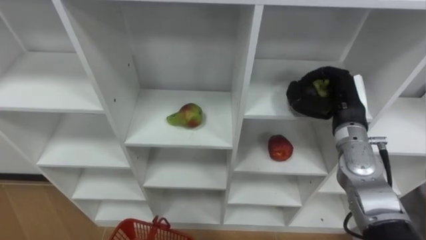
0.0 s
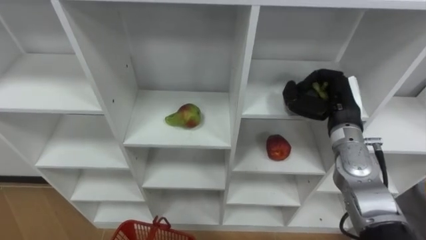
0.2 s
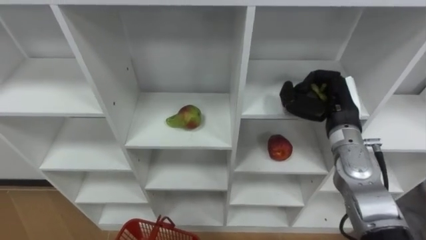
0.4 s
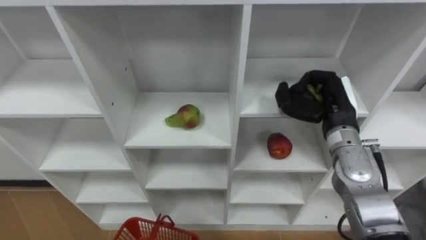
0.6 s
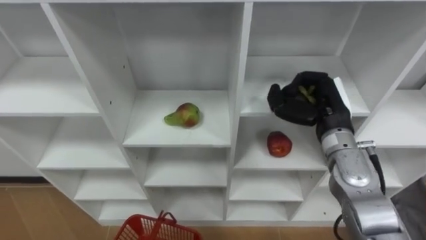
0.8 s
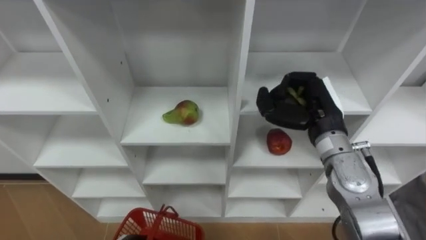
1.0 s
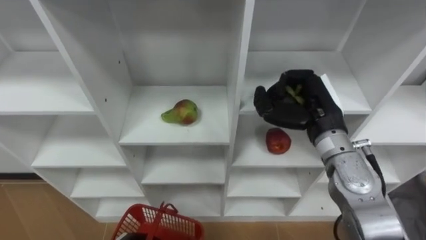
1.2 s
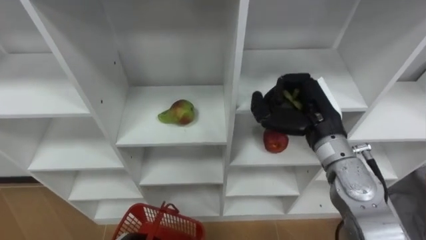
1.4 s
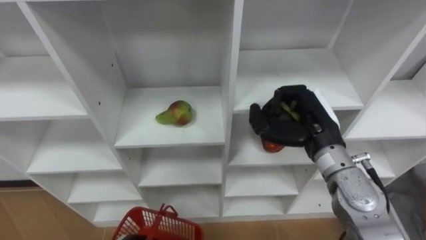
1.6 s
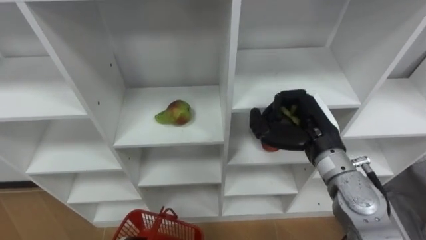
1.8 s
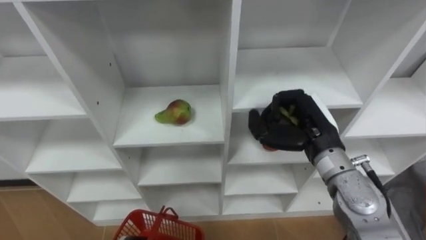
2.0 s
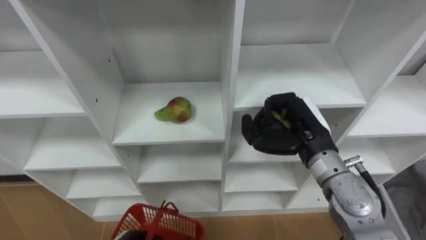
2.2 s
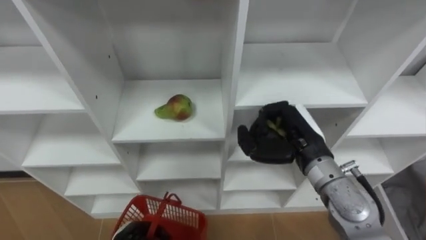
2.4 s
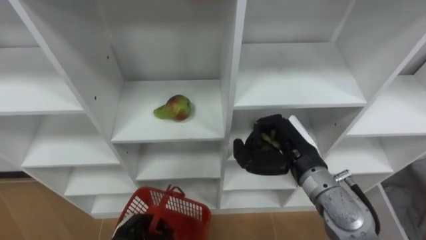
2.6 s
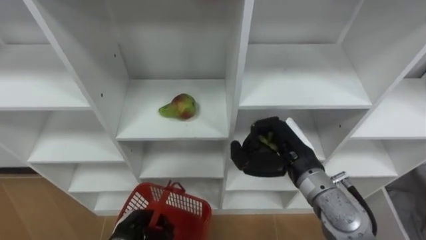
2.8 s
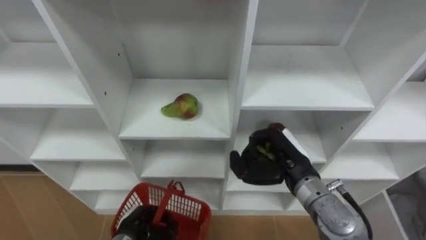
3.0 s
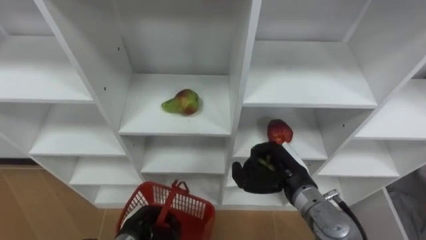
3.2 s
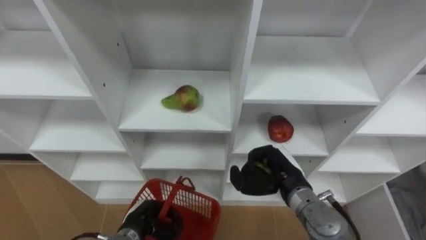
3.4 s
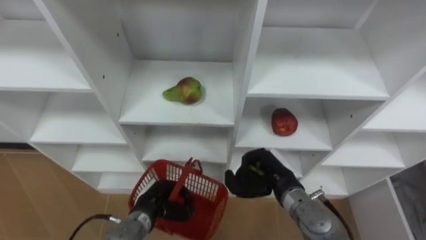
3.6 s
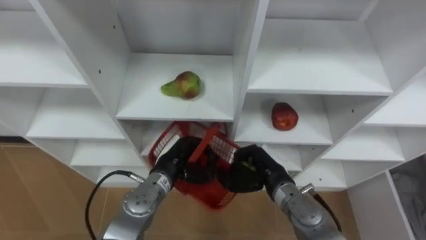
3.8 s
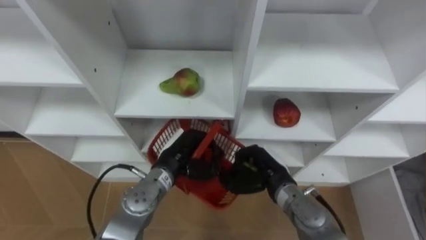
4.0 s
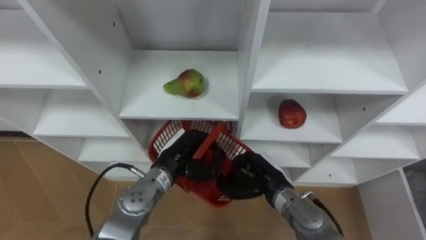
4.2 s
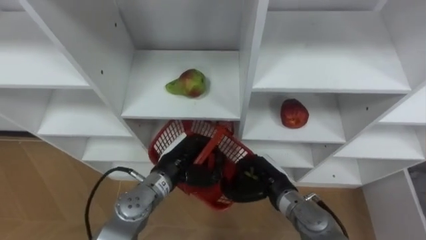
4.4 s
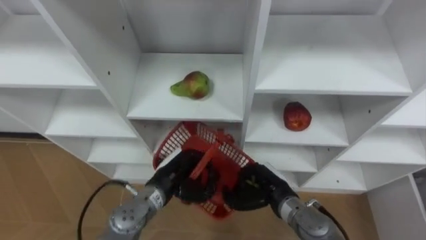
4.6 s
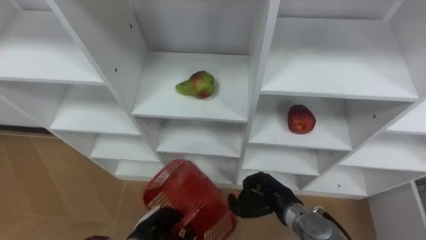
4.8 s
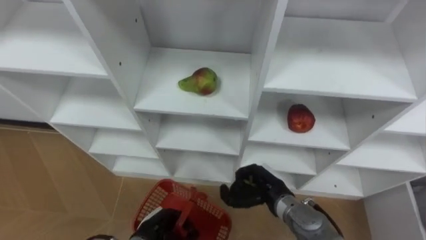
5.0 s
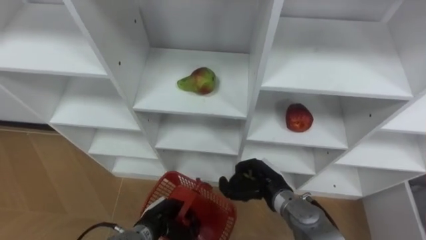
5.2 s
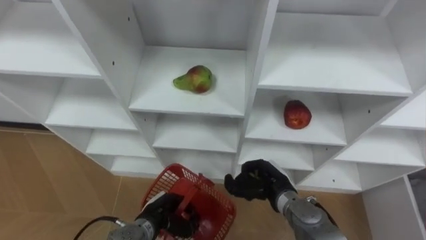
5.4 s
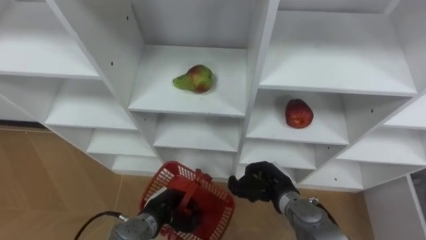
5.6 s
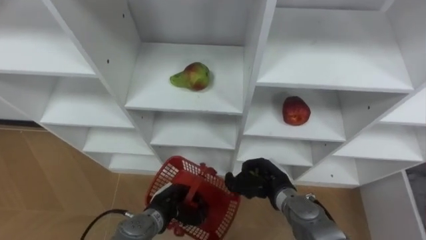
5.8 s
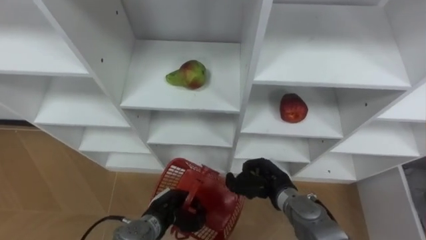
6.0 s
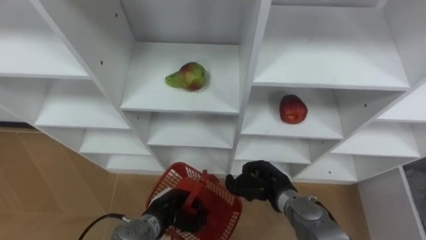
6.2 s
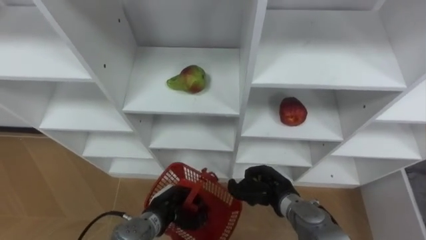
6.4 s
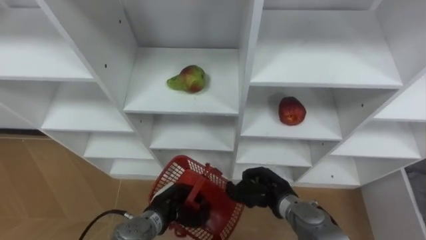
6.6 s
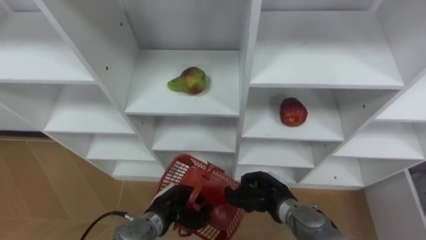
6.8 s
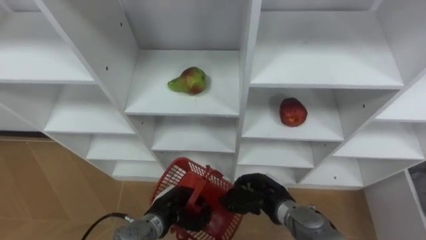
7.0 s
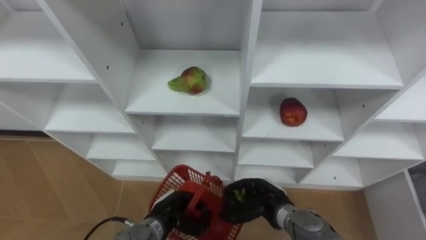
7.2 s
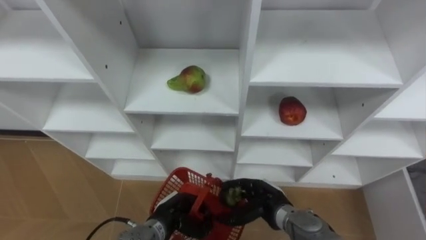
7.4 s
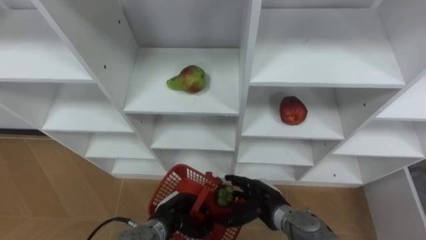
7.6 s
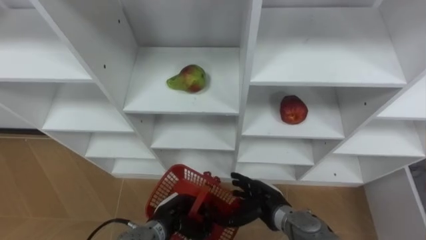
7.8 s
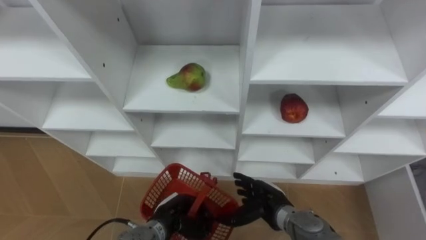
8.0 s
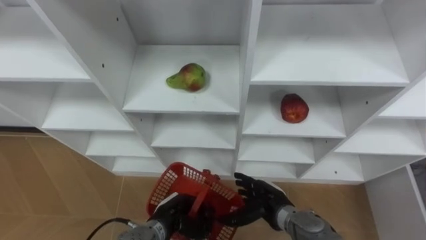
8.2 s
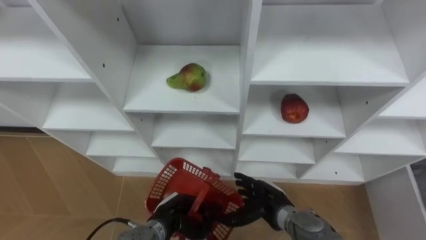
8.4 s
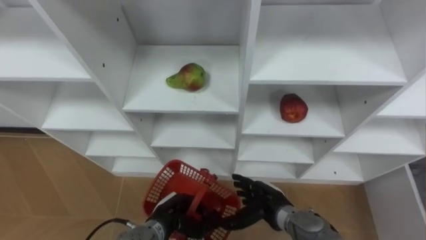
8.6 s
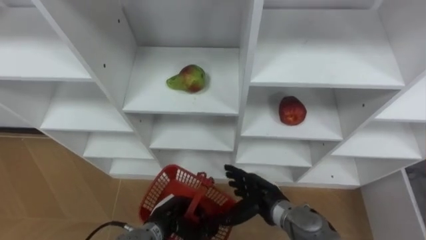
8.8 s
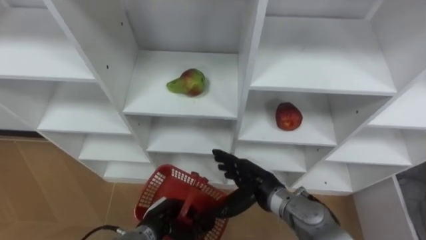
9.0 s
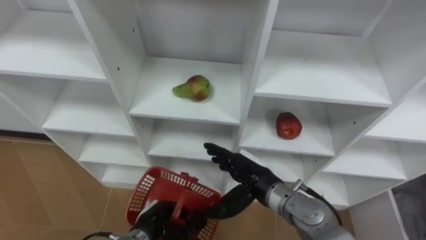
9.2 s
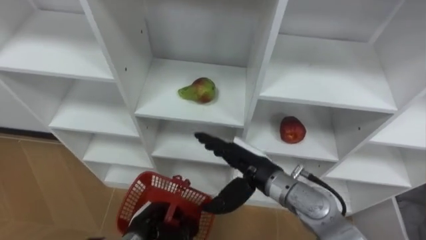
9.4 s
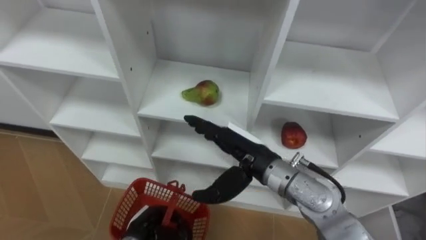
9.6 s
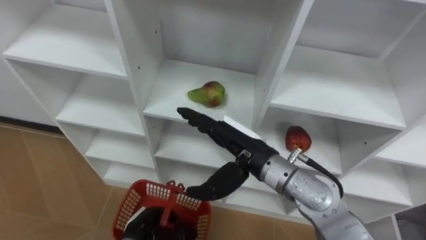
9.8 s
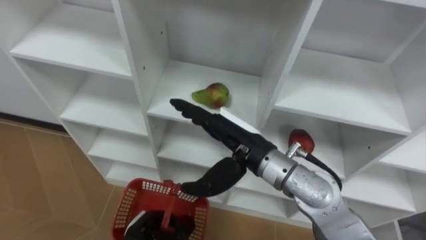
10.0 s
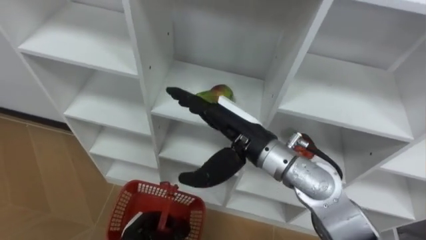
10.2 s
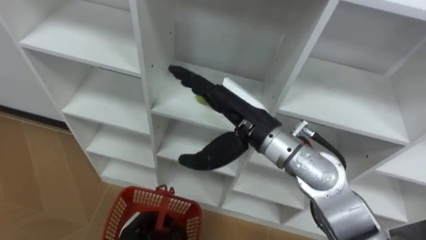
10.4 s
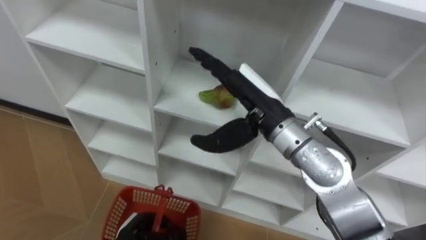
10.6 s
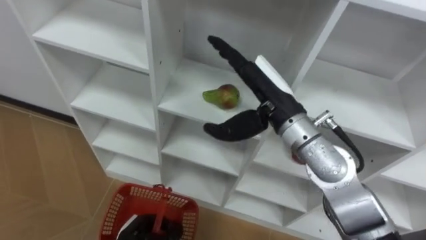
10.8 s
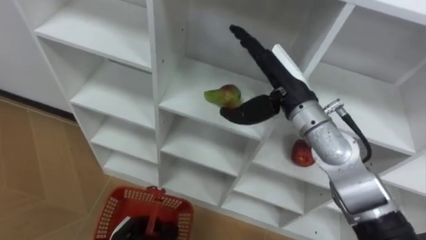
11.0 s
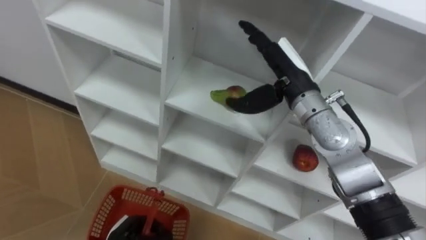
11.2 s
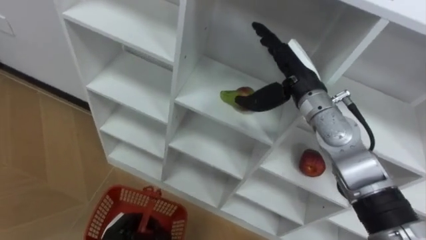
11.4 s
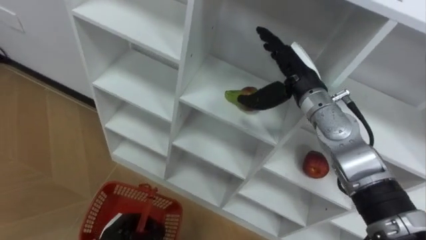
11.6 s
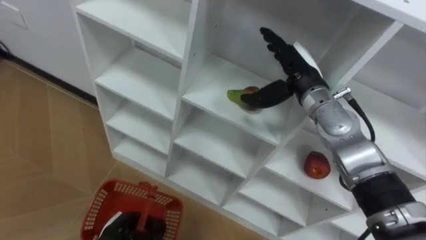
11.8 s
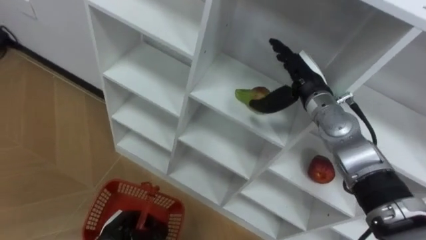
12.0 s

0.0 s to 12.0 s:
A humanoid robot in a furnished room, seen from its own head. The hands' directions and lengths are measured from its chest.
Task of the whole recording: Hold the basket and collect the fruits from 3 different cells of the closet into it.
0.0 to 1.6 s: The right hand moves to the left, about 5 cm.
1.6 to 3.0 s: The right hand is displaced downward by roughly 5 cm.
3.0 to 4.4 s: The right hand moves downward, roughly 10 cm, while the left hand moves upward, forward and to the right, roughly 20 cm.
4.4 to 6.0 s: The left hand heads downward and backward, covering roughly 15 cm.
6.0 to 7.6 s: The right hand opens up.
7.6 to 9.0 s: The right hand goes about 5 cm upward.
9.0 to 10.4 s: The left hand ends up some 5 cm from where it was. Meanwhile the right hand heads upward, covering roughly 20 cm.
10.4 to 12.0 s: The right hand goes approximately 20 cm to the right, forward and downward.

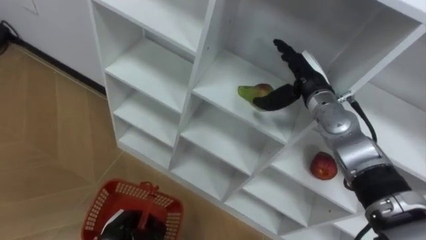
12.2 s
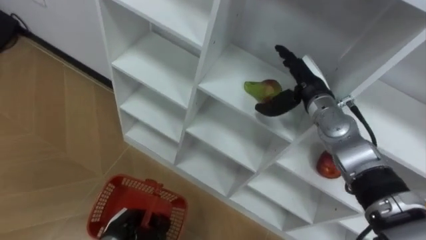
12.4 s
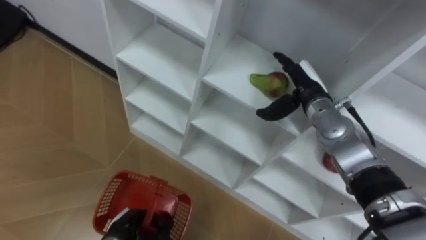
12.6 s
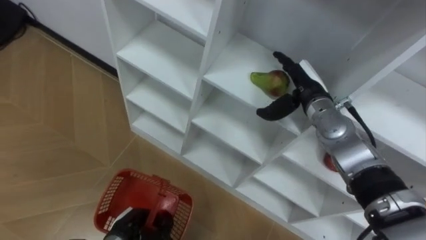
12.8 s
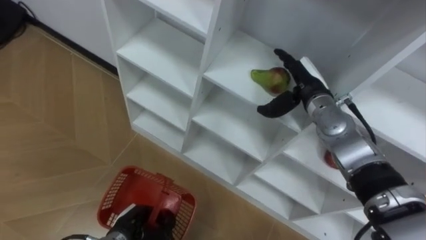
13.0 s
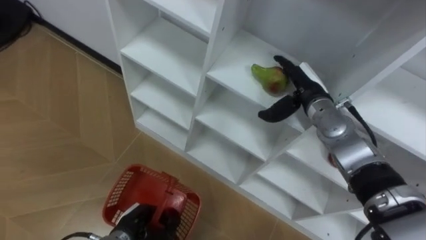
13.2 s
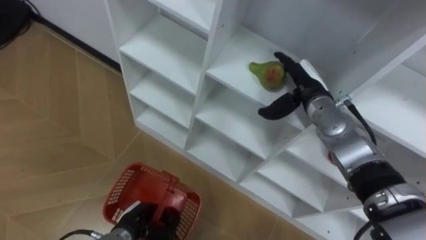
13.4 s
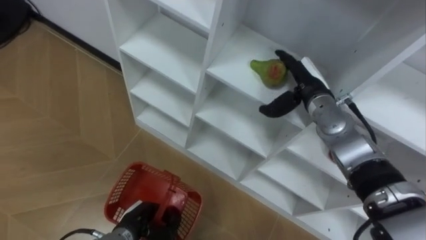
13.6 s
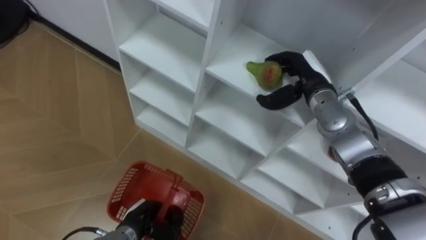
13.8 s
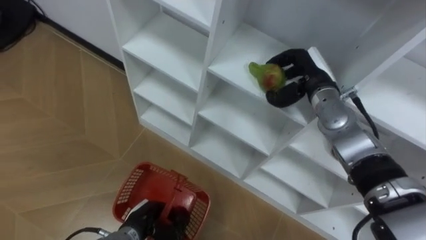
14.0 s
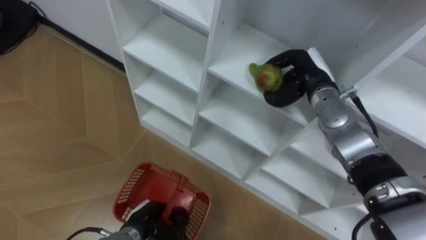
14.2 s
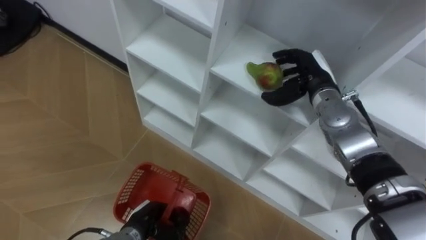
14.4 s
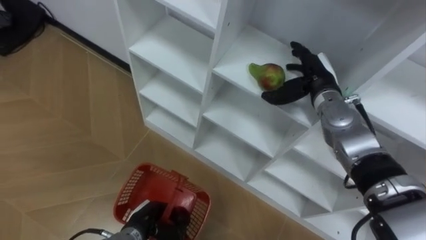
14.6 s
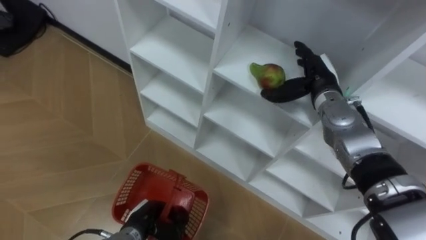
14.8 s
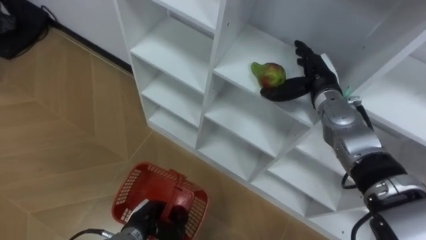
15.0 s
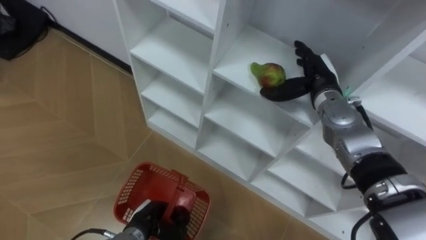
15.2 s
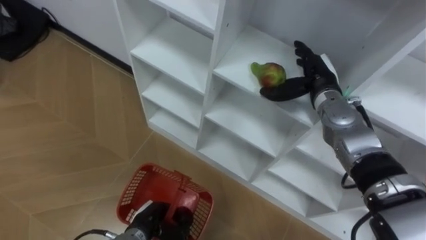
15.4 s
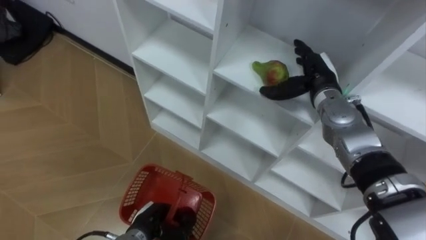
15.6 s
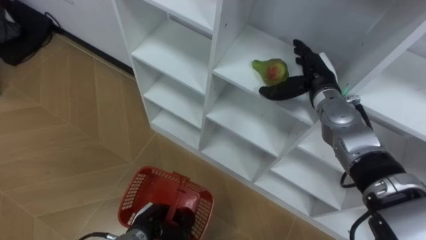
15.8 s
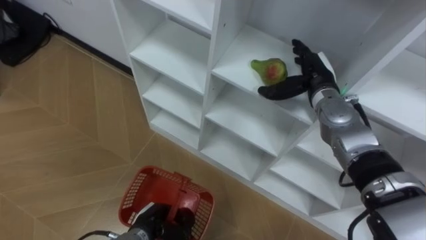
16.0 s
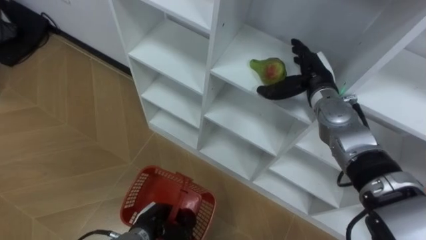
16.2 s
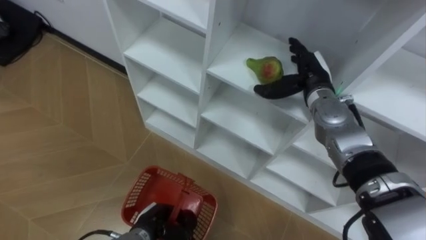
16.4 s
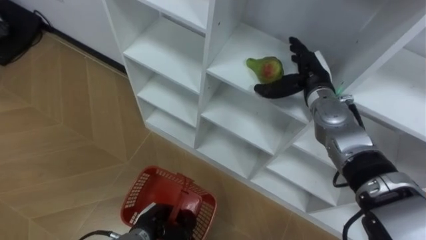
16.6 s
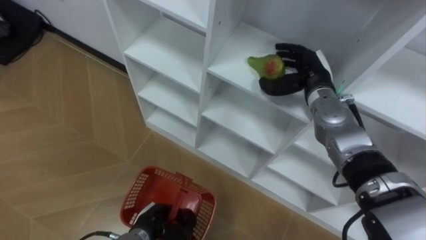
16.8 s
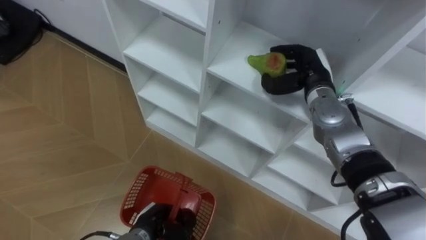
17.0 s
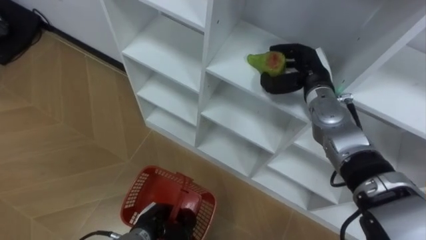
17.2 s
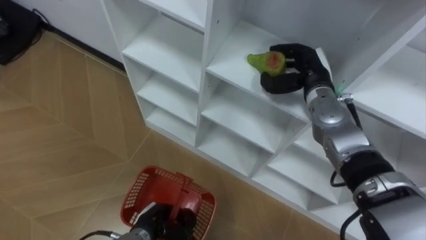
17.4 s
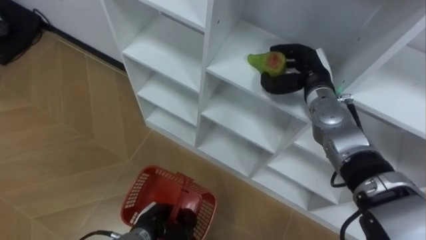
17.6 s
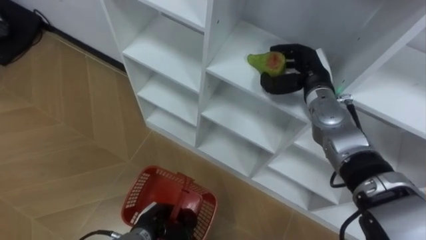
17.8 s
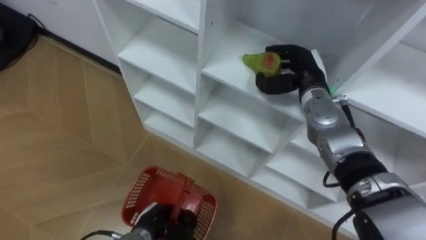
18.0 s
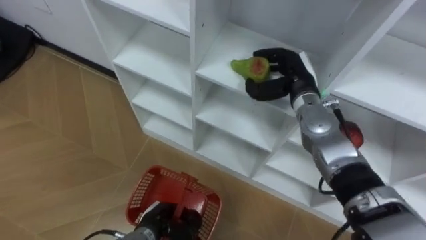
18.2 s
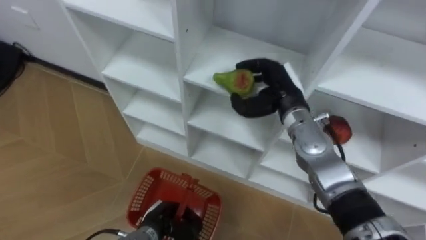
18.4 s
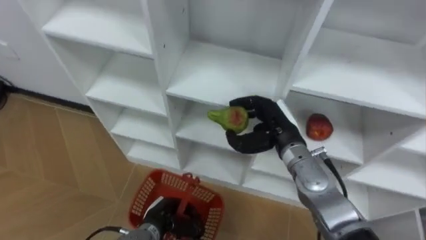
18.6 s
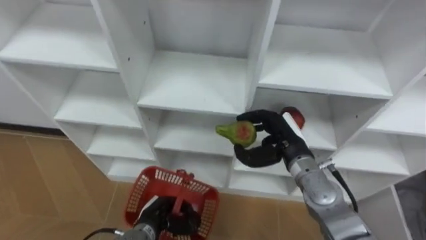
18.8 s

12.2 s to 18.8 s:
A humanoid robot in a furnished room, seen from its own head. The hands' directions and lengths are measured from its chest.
Task of the whole recording: Hold the basket and collect the fruits from 3 different cells of the closet into it.
15.4 to 17.2 s: The right hand closes.
17.2 to 18.8 s: The right hand goes some 15 cm backward and downward.
